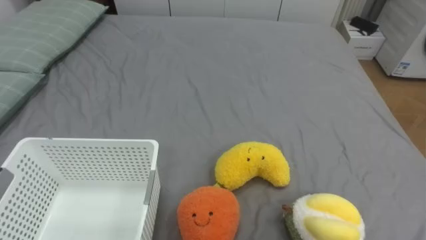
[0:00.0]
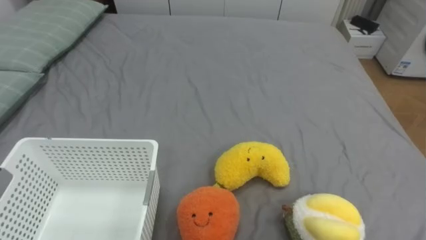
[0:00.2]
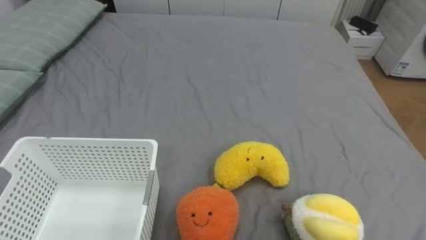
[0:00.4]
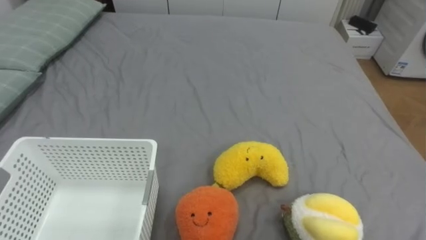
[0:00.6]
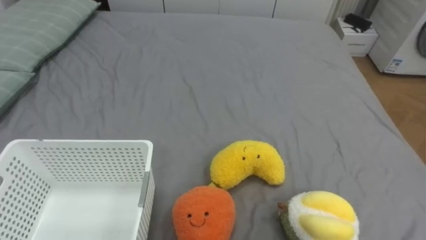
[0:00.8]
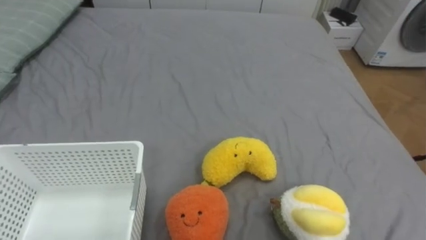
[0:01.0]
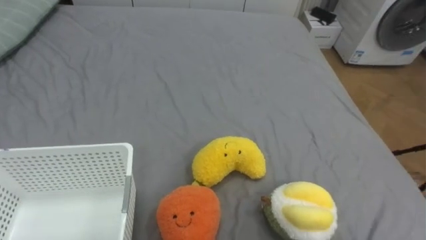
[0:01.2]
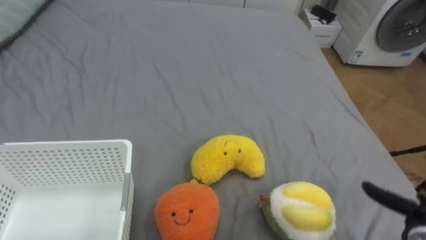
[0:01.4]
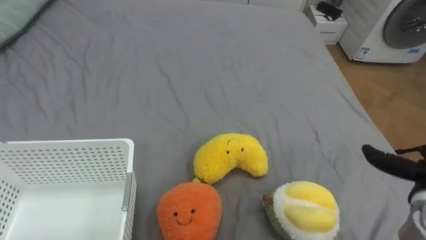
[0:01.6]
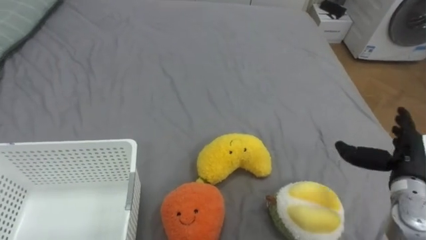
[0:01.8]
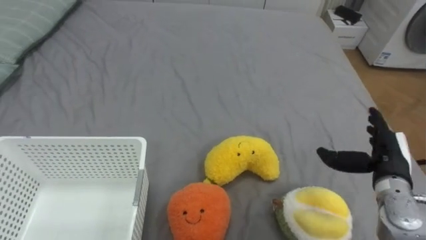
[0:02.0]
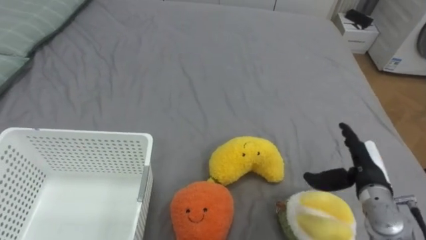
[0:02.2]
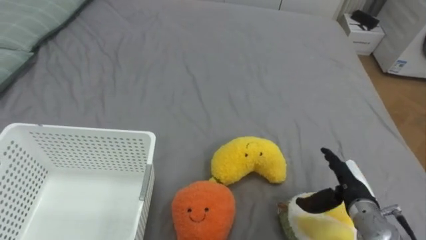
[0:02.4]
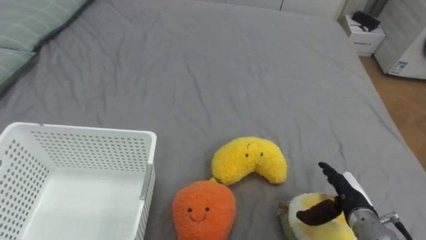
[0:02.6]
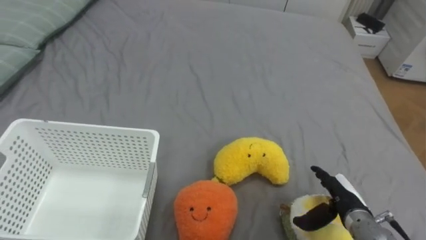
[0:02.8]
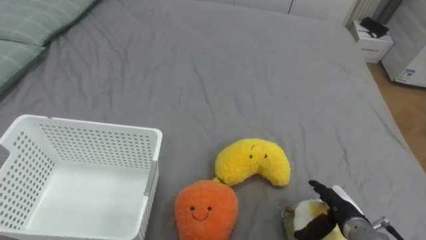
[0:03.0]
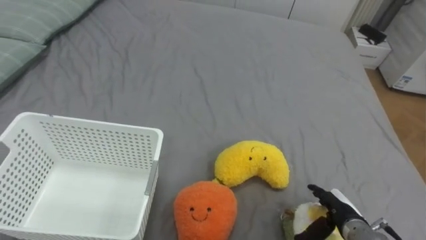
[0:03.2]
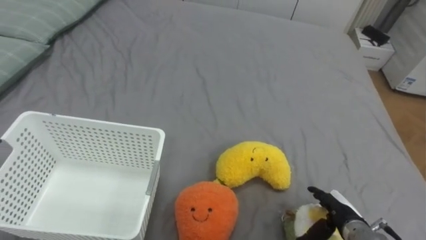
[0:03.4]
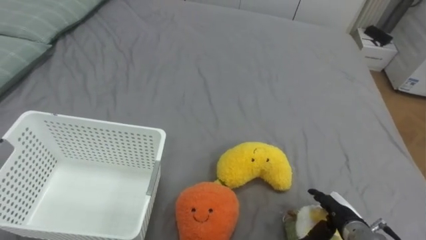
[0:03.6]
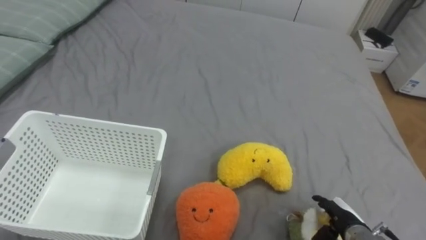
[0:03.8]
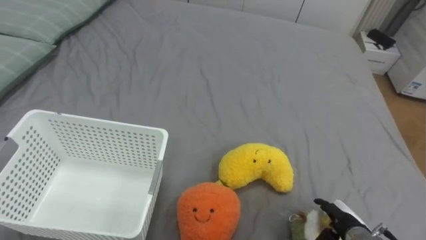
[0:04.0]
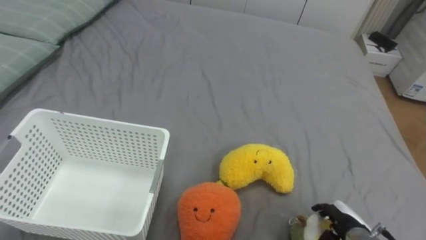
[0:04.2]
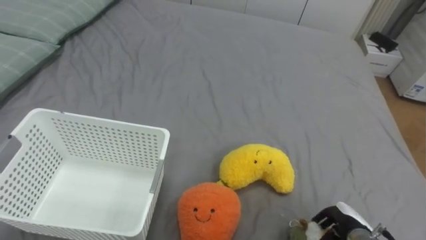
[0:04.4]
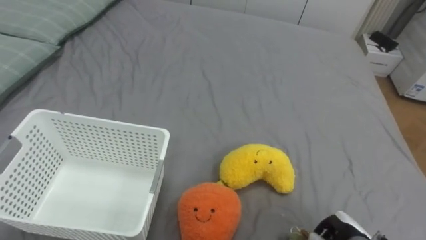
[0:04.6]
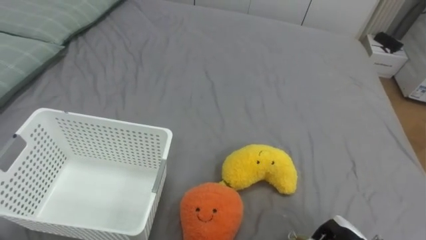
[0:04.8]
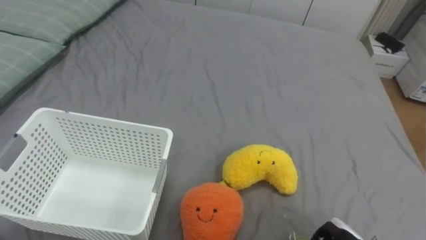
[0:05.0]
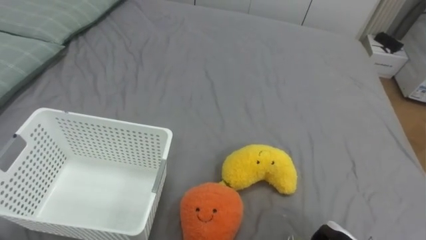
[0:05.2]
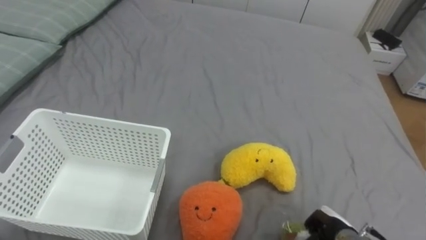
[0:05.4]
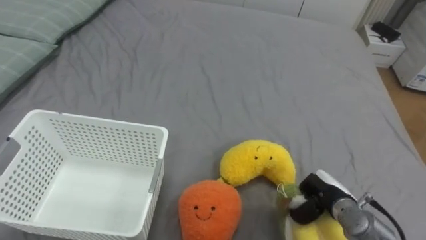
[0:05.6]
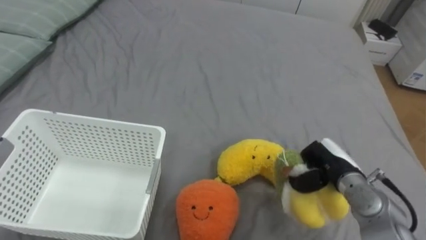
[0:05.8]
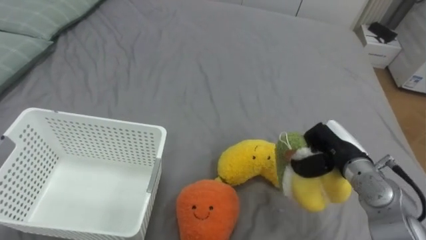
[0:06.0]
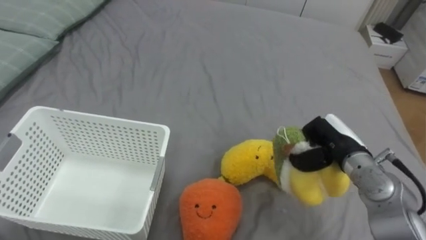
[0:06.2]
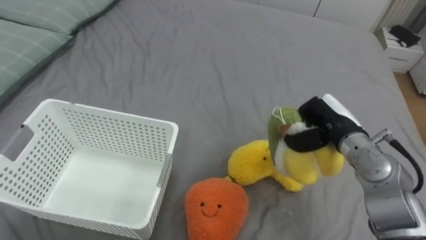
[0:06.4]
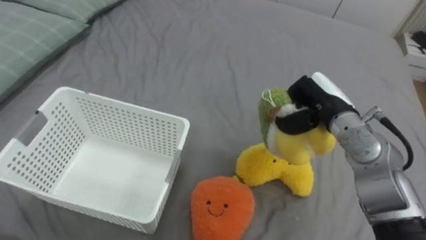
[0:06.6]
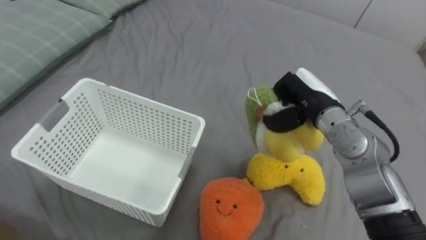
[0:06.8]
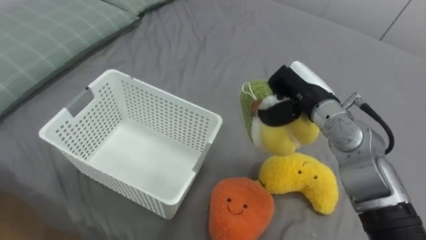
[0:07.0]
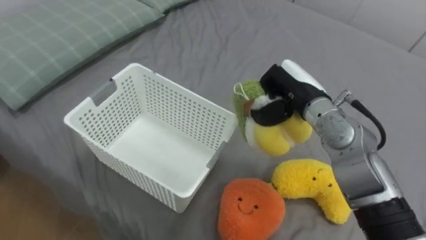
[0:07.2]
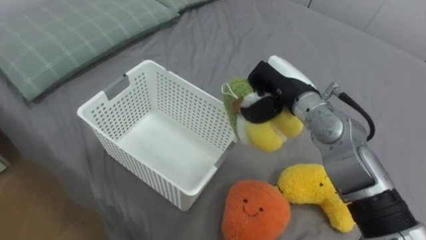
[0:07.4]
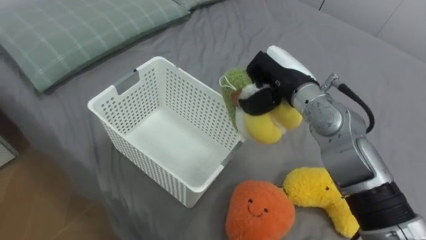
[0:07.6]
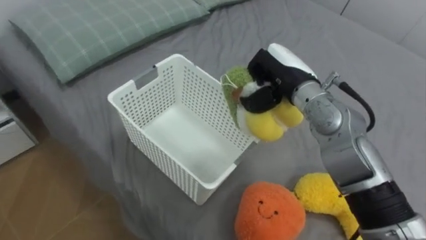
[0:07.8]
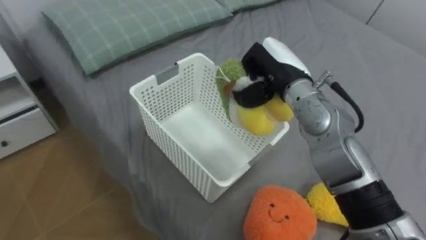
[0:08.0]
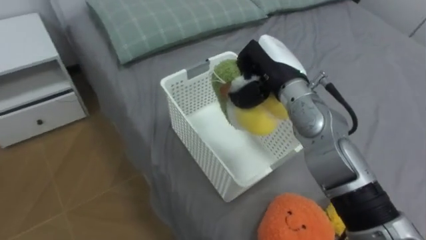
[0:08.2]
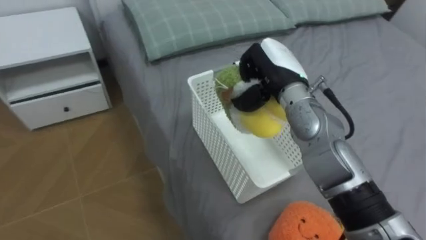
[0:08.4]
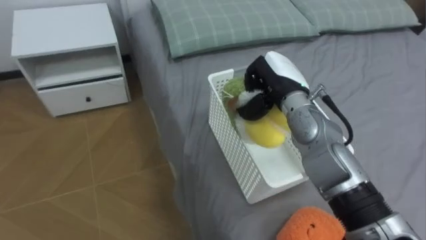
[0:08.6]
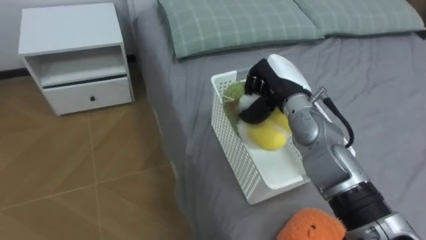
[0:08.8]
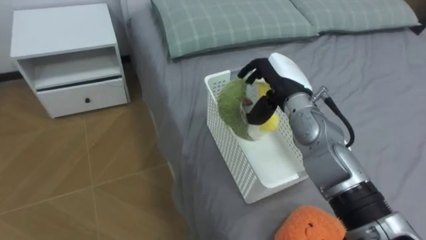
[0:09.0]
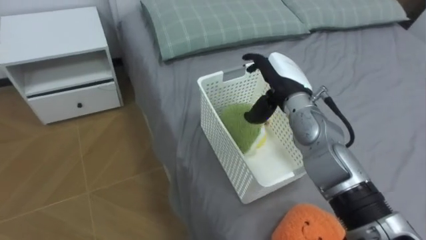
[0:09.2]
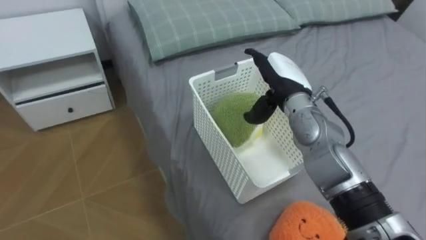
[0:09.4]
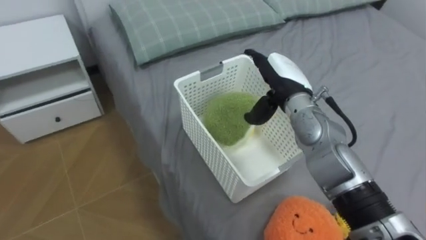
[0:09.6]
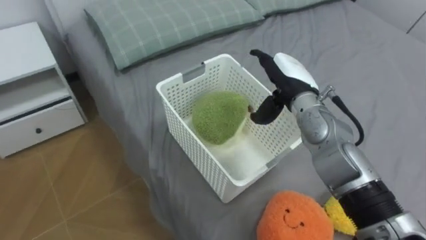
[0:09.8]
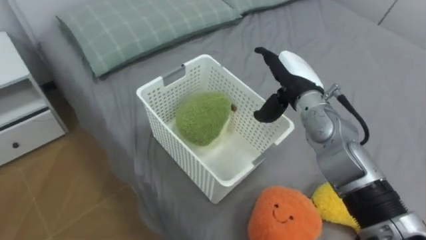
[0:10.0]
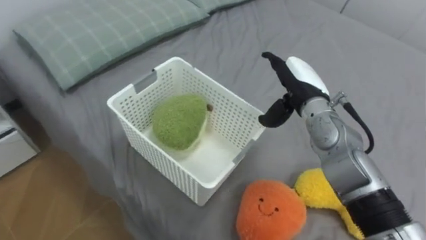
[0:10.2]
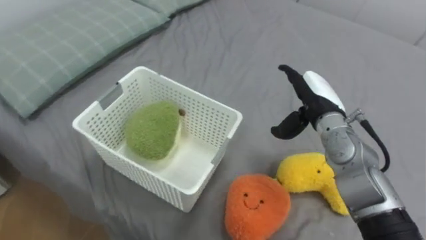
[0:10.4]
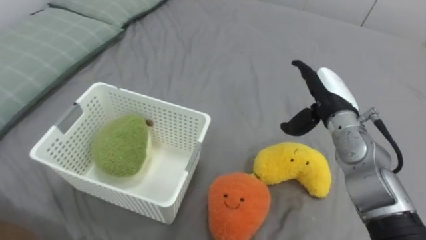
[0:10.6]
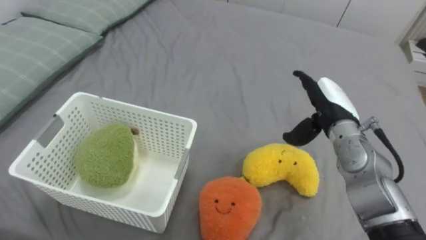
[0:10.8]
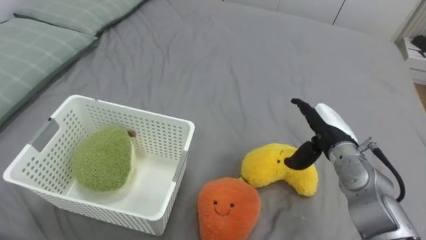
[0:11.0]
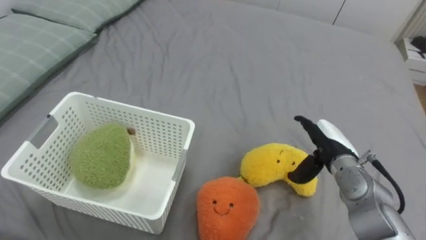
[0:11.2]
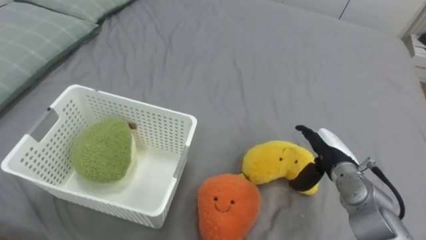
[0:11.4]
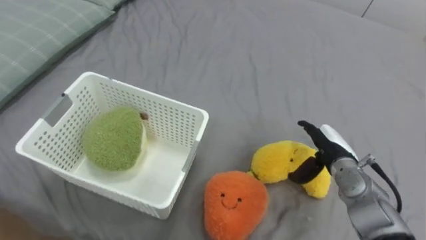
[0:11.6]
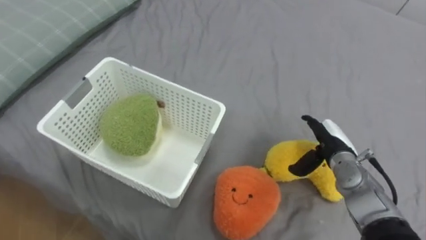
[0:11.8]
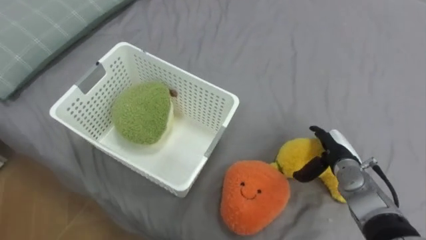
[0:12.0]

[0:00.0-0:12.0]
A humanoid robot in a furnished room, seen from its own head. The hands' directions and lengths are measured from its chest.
Task of the whole recording: Put the toys on the bed into the basket on the left.
0:03.0 to 0:04.4: The right hand closes.
0:06.0 to 0:07.6: The right hand is displaced to the left, upward and forward by about 20 cm.
0:07.6 to 0:09.0: The robot faces about 20 degrees further to its left. The right hand opens its fingers.
0:09.0 to 0:10.4: The robot's body swings about 25 degrees to its right. The right hand travels to the right by approximately 5 cm.
0:10.4 to 0:12.0: The right hand moves downward and to the right, roughly 15 cm.

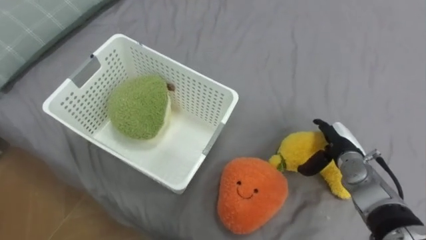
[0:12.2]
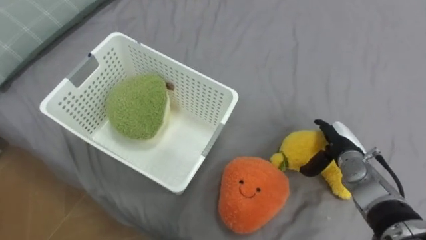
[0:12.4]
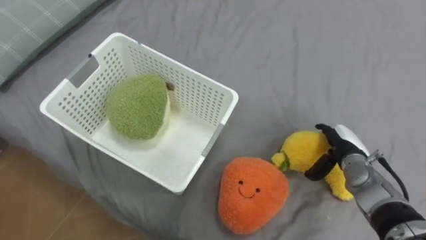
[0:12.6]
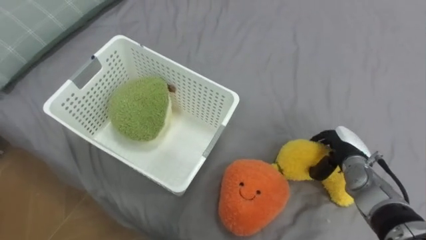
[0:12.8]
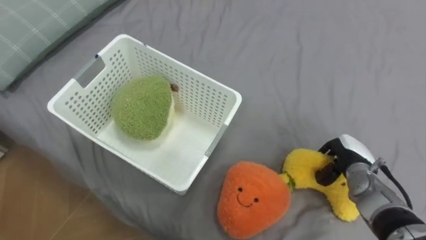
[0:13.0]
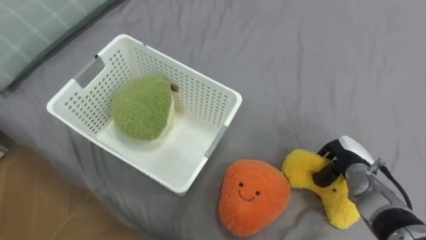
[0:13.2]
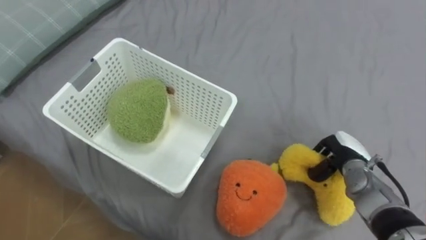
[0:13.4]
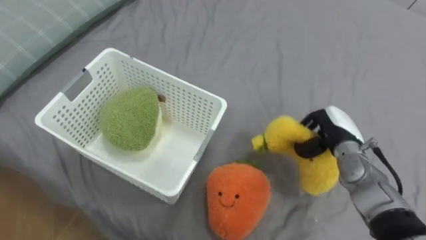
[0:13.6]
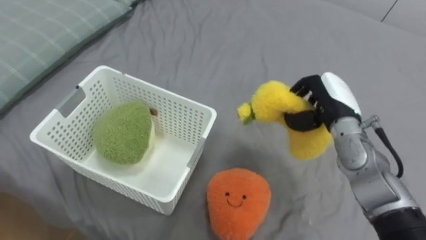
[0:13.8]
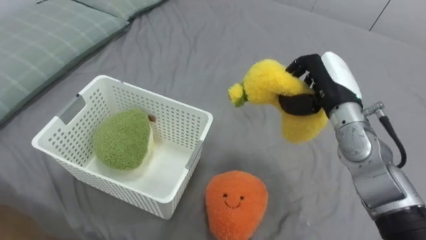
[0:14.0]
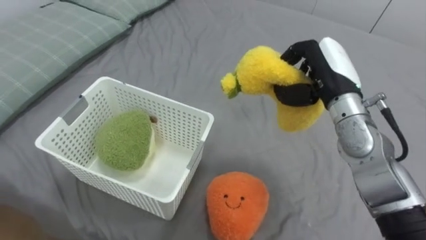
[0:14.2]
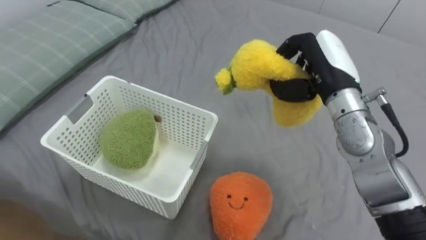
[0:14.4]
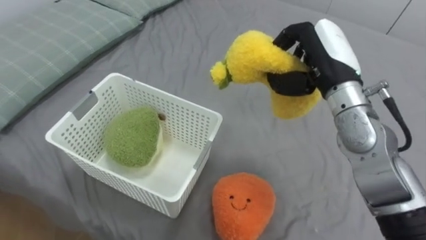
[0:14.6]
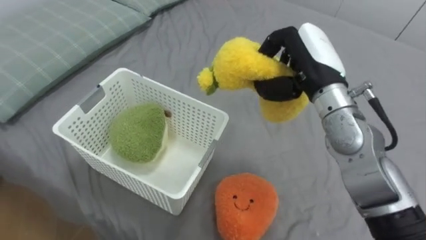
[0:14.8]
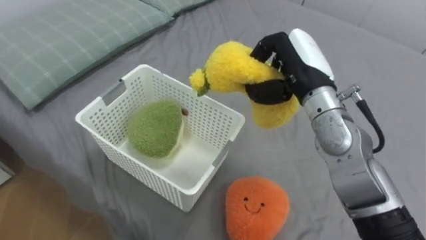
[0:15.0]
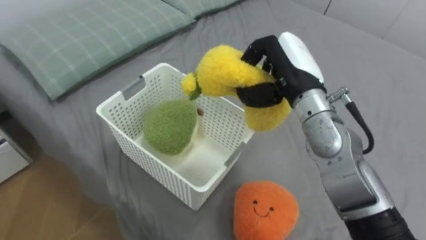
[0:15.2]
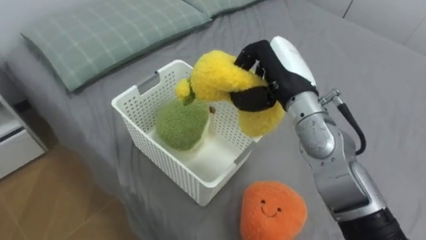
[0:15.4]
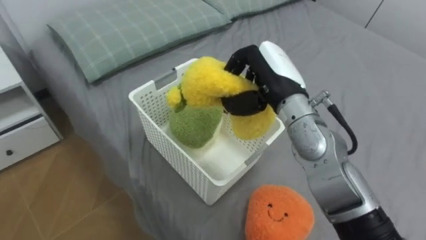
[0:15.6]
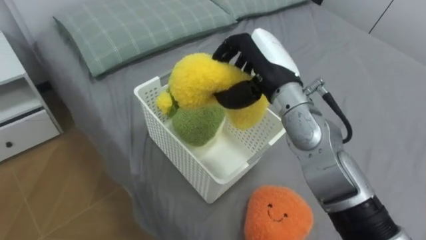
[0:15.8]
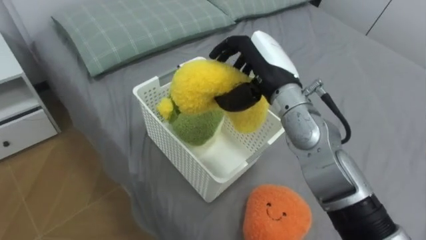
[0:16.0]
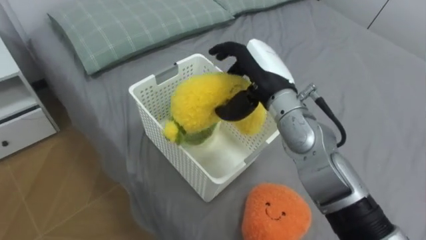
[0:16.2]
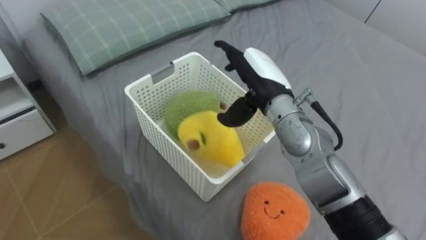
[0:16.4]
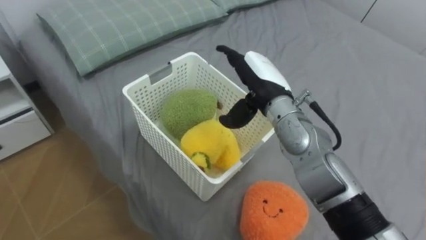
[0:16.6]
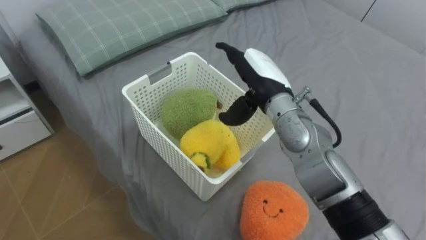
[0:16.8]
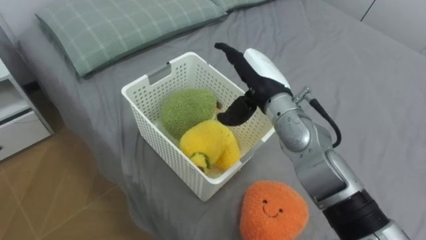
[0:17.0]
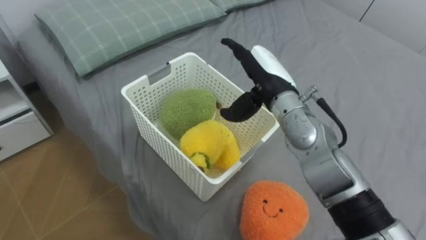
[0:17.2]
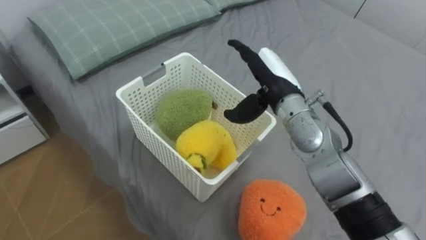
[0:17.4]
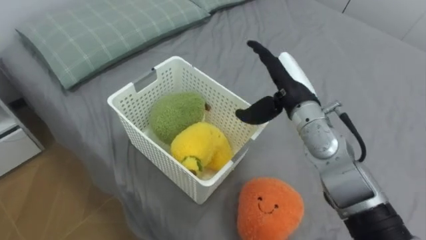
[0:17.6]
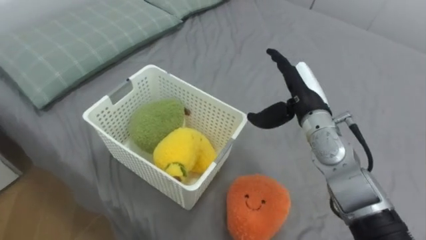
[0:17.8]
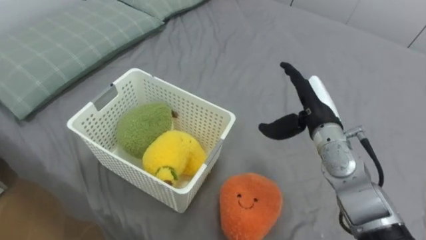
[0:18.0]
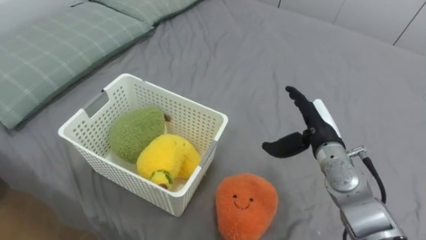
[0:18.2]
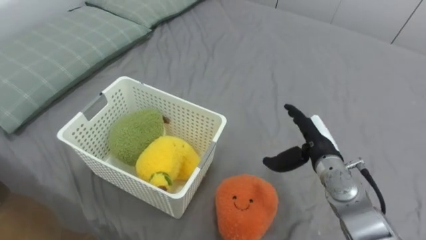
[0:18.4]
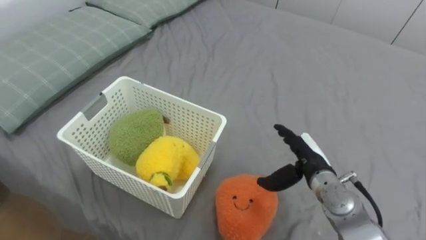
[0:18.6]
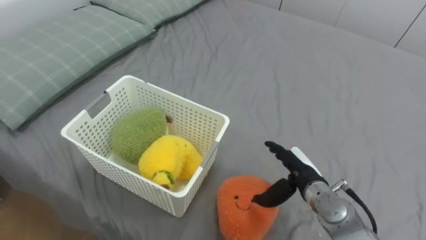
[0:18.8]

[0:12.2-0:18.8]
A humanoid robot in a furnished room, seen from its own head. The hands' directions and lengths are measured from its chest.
Task of the whole recording: Put the toys on the bed into the basket on the left.
0:12.2 to 0:13.8: The right hand heads upward, covering roughly 10 cm, and closes up.
0:13.8 to 0:15.4: The right hand moves to the left and upward, roughly 15 cm.
0:15.4 to 0:17.2: The right hand opens up.
0:17.2 to 0:18.8: The right hand is displaced downward, to the right and backward by about 20 cm.
